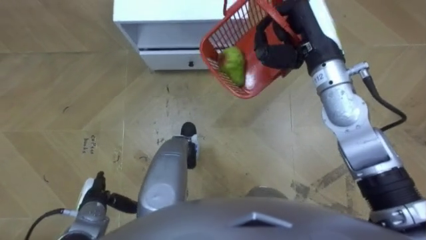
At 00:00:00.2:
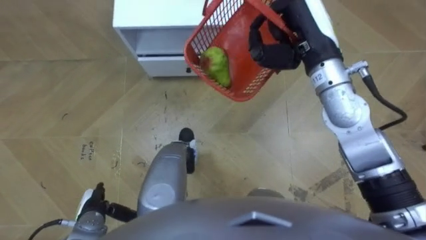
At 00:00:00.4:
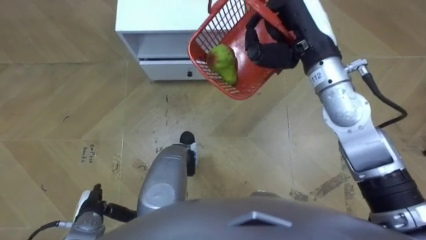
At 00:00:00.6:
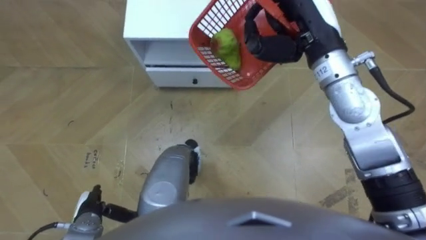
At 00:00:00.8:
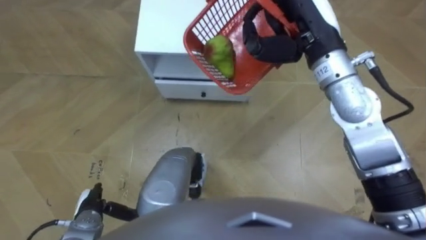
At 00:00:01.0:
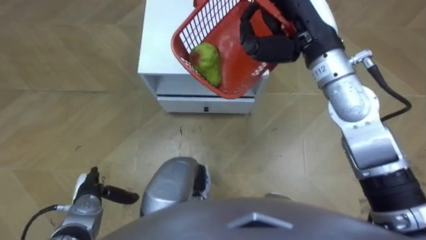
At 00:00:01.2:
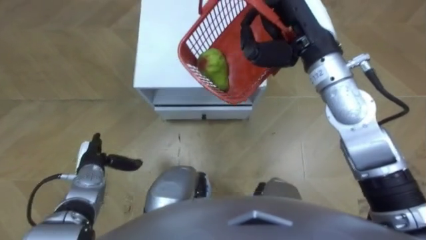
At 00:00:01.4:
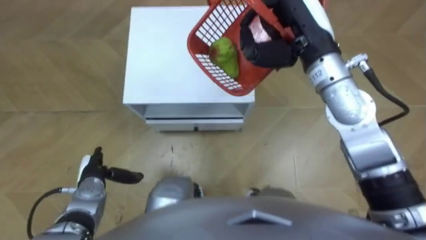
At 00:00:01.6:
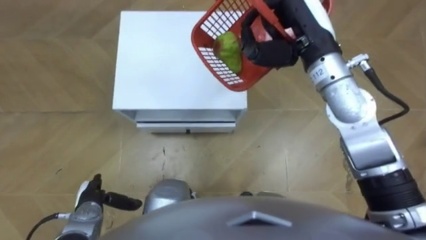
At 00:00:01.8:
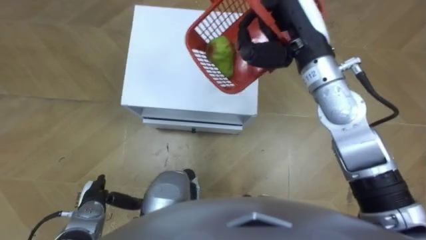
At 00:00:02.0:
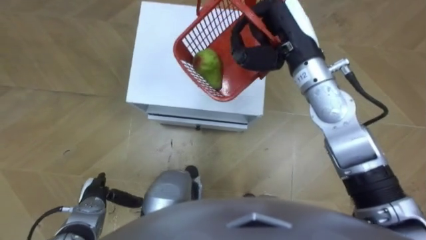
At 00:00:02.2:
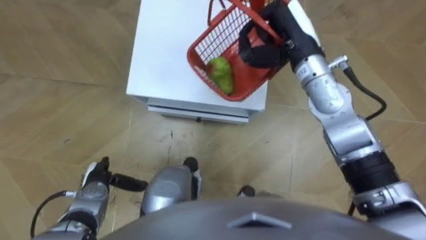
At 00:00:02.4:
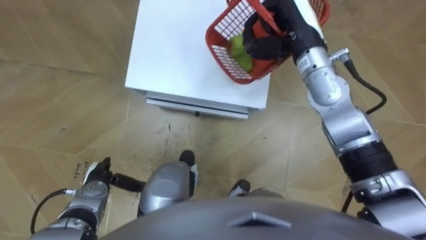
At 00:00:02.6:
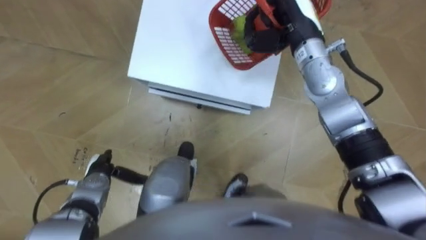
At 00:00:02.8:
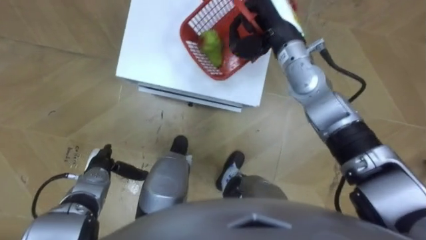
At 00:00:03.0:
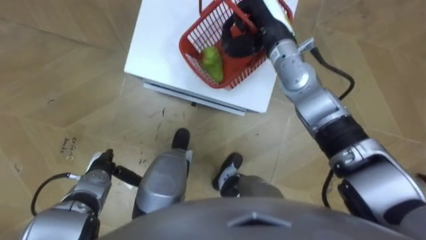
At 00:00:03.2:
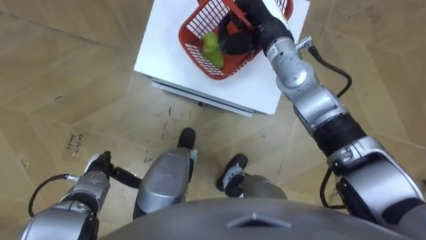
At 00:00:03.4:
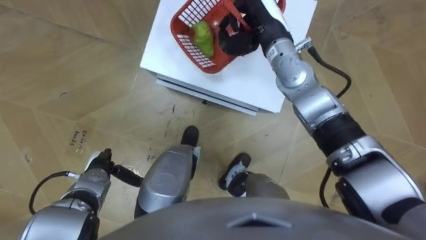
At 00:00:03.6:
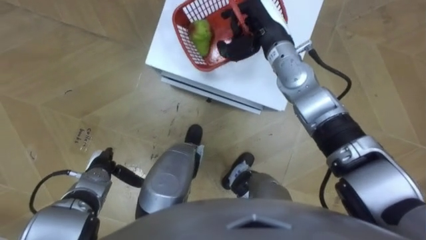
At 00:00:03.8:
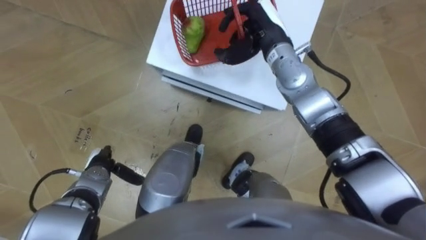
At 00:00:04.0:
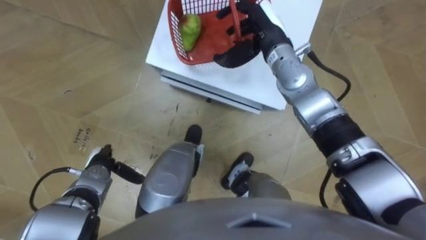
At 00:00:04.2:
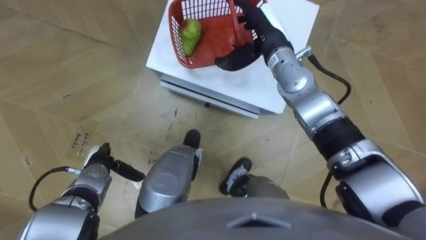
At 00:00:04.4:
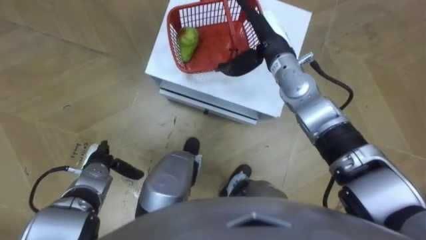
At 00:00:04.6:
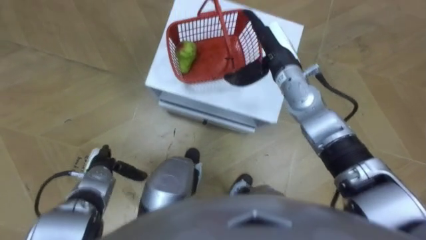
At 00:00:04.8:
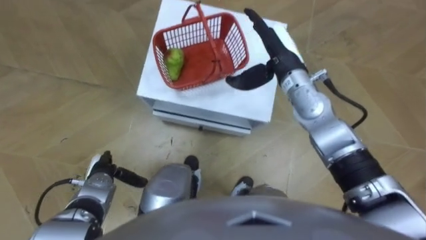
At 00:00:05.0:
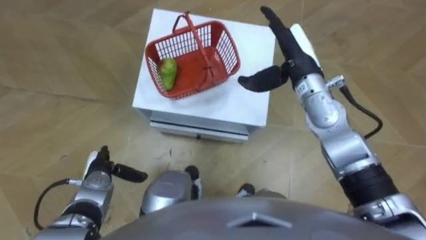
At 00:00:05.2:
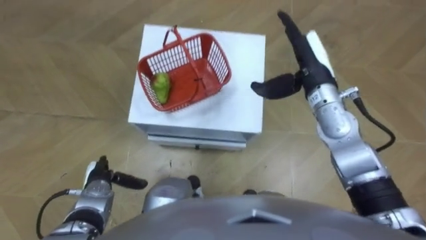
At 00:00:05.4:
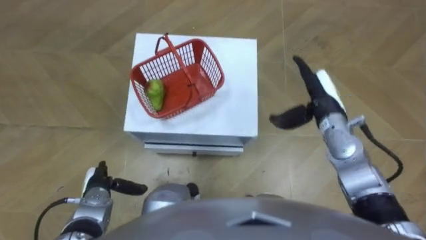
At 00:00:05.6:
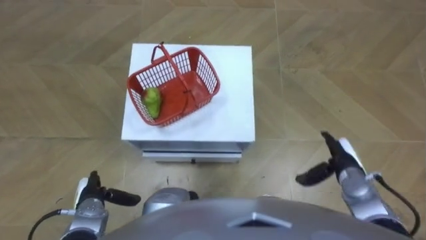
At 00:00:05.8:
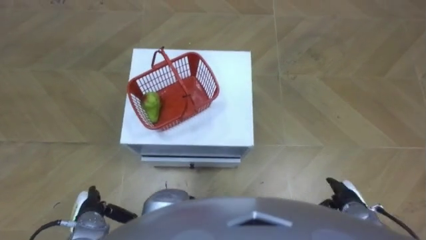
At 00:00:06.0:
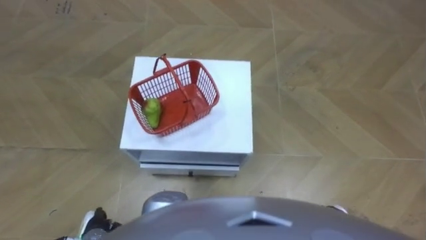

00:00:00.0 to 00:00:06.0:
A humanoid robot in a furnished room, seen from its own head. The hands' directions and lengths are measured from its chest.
Task of the whole recording: Pick up the fruit basket from the floor and place it on the cabinet.
00:00:00.0 to 00:00:01.6: The left hand moves approximately 10 cm forward and comes back.
00:00:01.6 to 00:00:03.0: The right hand goes about 10 cm downward and forward; the left hand heads forward, covering approximately 5 cm.
00:00:03.0 to 00:00:04.4: The right hand opens its fingers.
00:00:04.4 to 00:00:06.0: The left hand travels backward by roughly 15 cm. The right hand shifts approximately 40 cm backward, downward and to the right.

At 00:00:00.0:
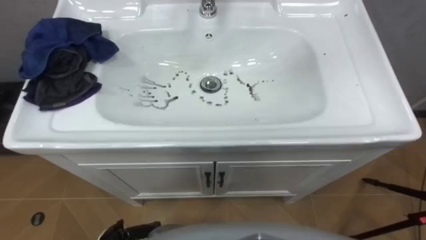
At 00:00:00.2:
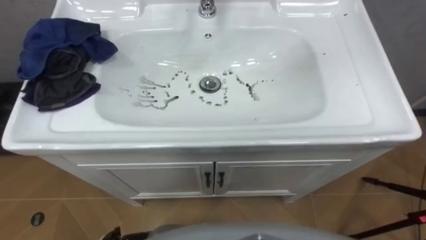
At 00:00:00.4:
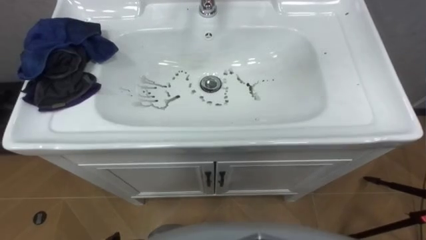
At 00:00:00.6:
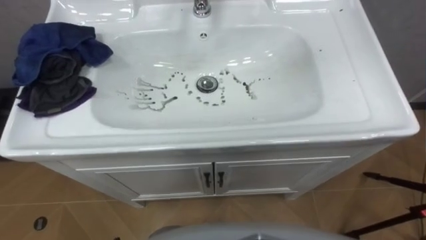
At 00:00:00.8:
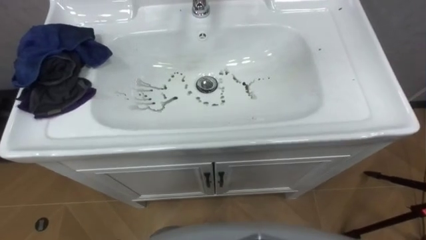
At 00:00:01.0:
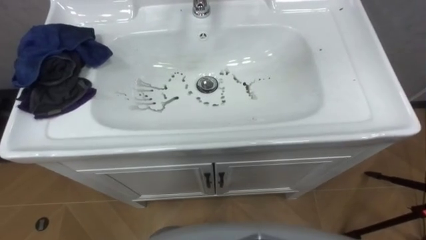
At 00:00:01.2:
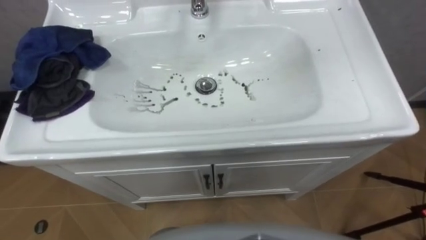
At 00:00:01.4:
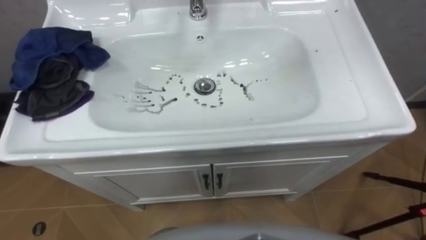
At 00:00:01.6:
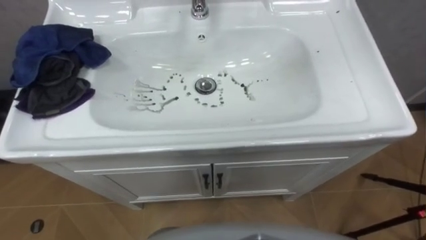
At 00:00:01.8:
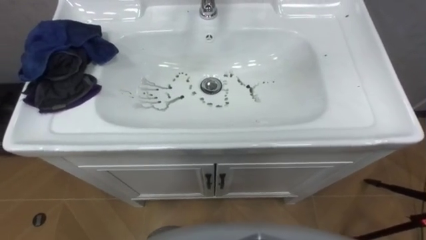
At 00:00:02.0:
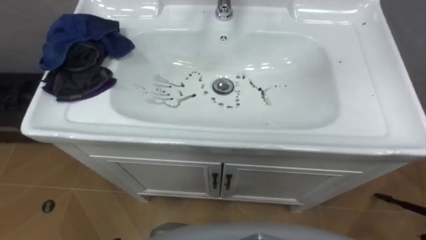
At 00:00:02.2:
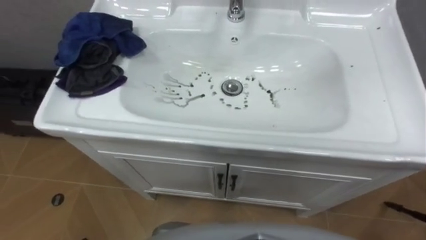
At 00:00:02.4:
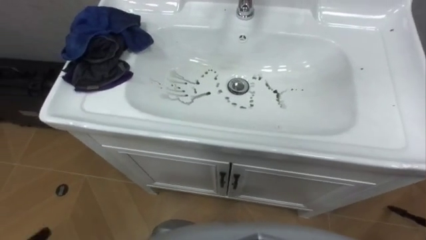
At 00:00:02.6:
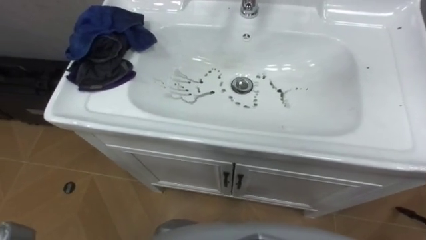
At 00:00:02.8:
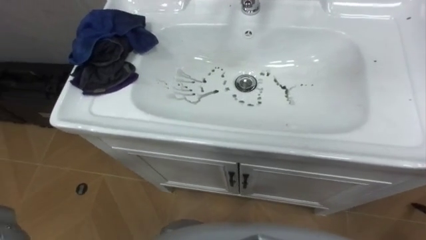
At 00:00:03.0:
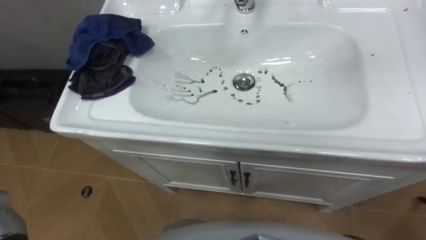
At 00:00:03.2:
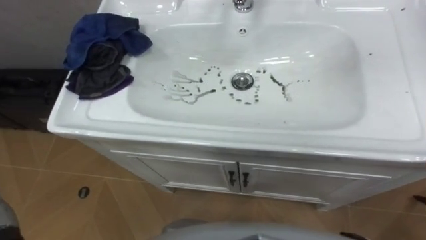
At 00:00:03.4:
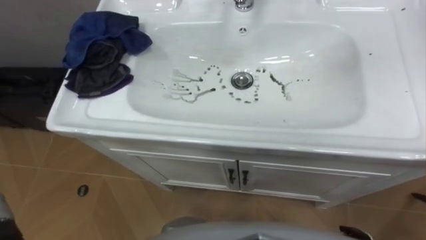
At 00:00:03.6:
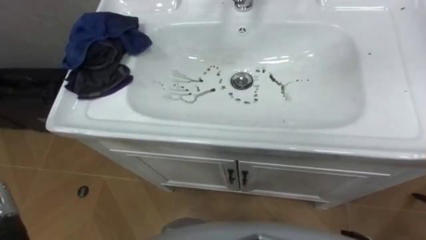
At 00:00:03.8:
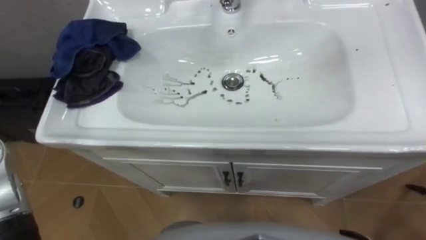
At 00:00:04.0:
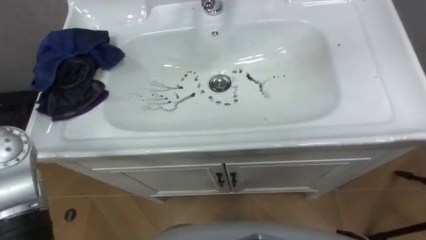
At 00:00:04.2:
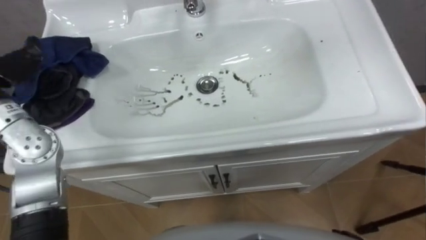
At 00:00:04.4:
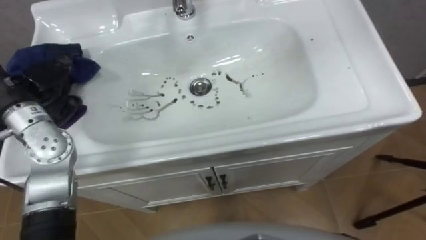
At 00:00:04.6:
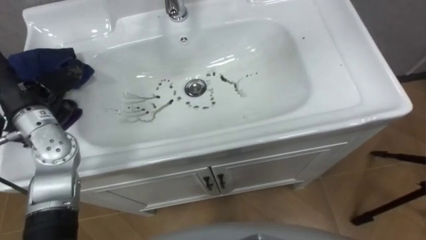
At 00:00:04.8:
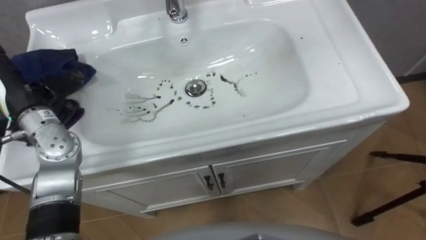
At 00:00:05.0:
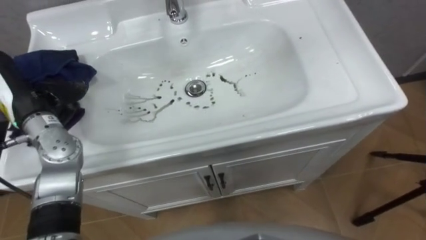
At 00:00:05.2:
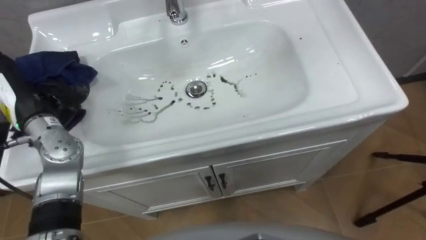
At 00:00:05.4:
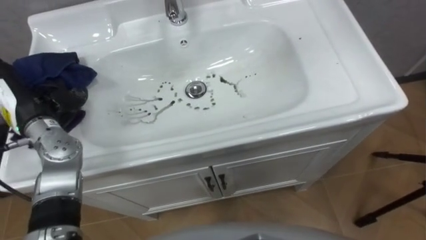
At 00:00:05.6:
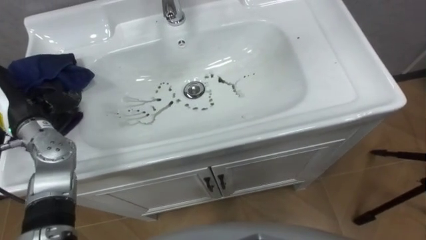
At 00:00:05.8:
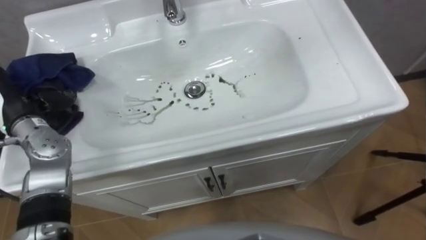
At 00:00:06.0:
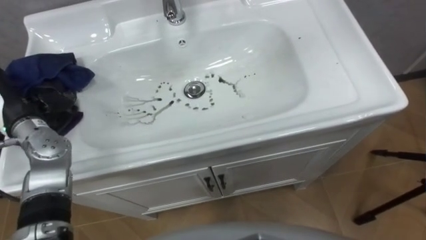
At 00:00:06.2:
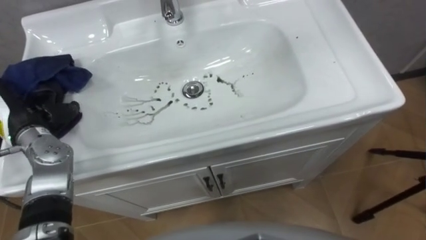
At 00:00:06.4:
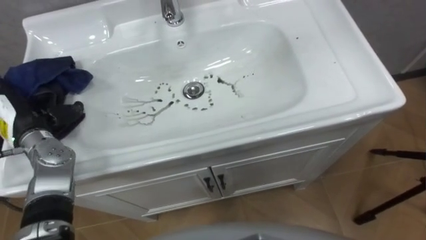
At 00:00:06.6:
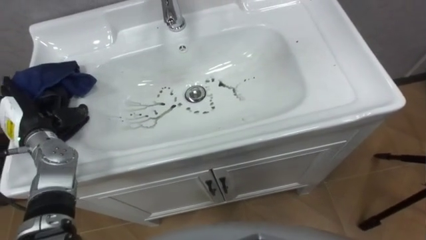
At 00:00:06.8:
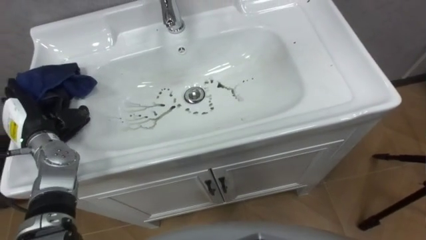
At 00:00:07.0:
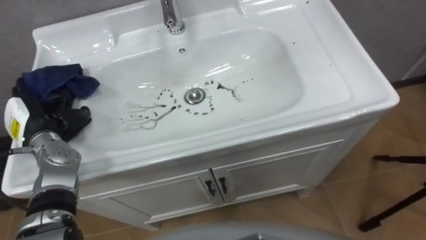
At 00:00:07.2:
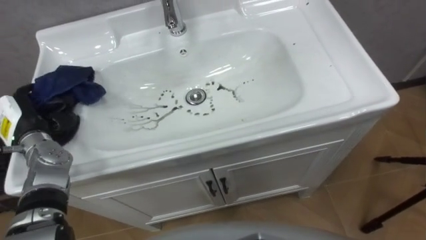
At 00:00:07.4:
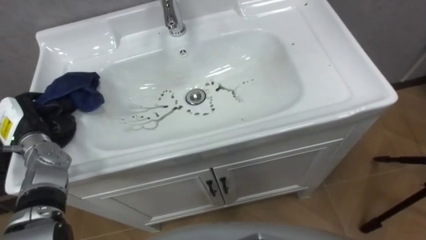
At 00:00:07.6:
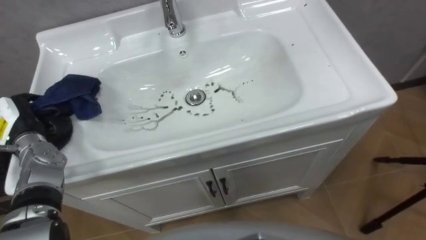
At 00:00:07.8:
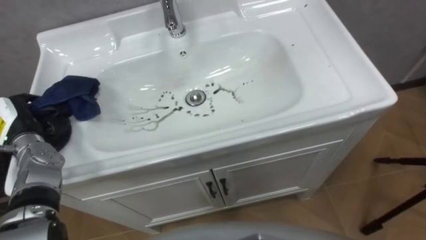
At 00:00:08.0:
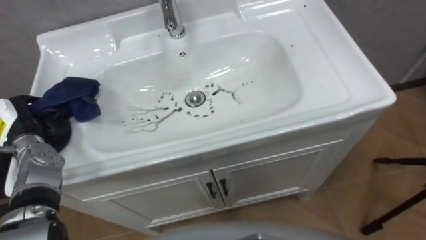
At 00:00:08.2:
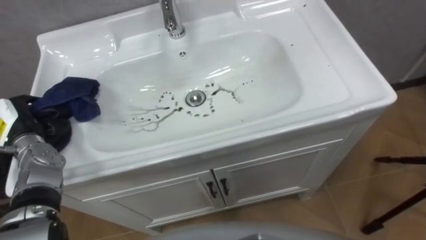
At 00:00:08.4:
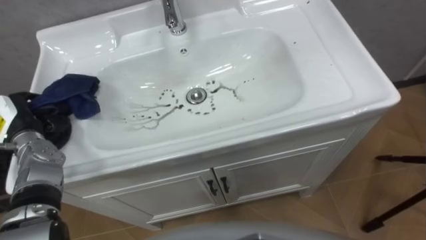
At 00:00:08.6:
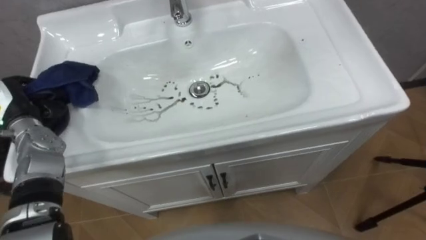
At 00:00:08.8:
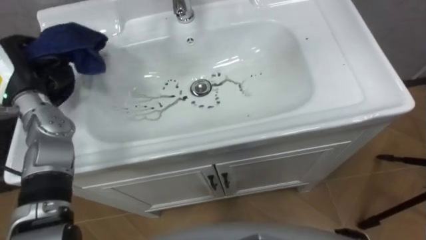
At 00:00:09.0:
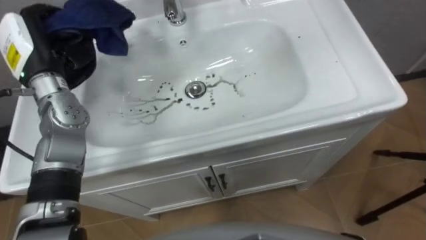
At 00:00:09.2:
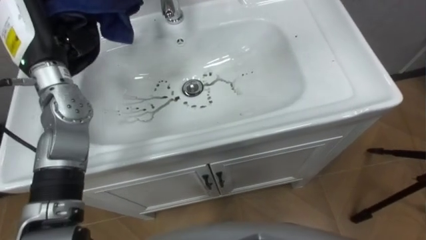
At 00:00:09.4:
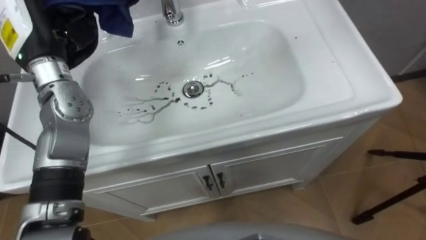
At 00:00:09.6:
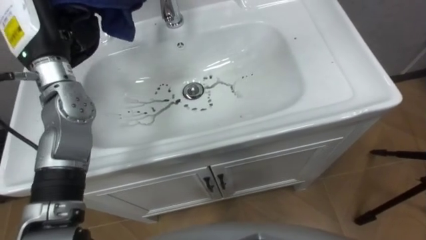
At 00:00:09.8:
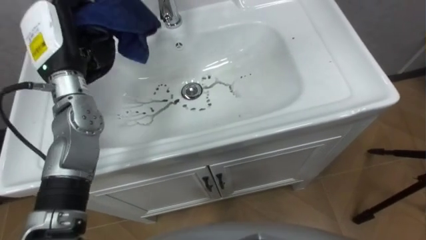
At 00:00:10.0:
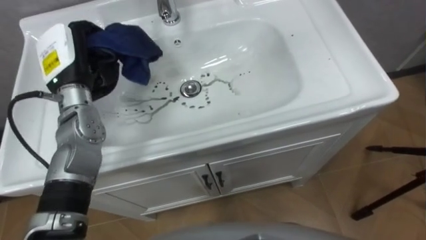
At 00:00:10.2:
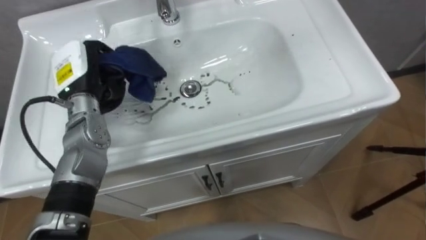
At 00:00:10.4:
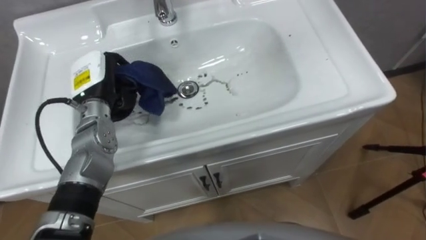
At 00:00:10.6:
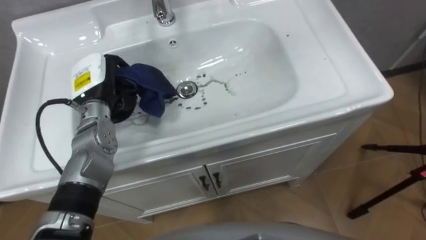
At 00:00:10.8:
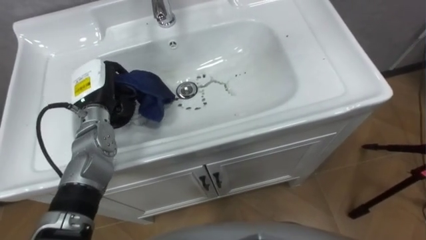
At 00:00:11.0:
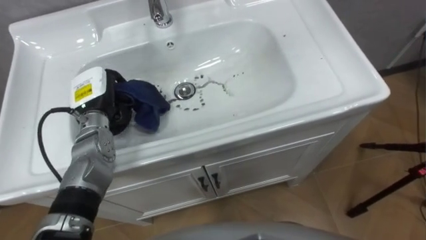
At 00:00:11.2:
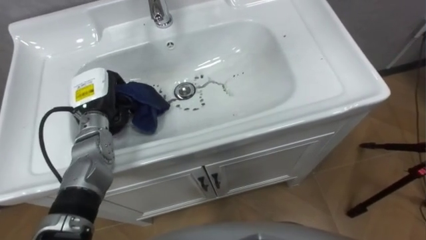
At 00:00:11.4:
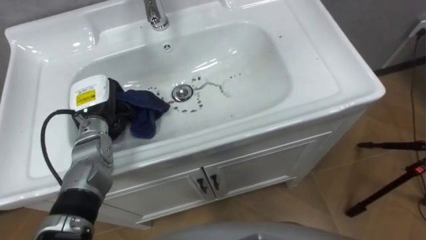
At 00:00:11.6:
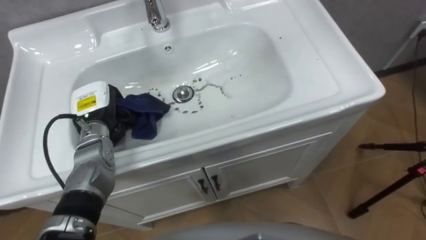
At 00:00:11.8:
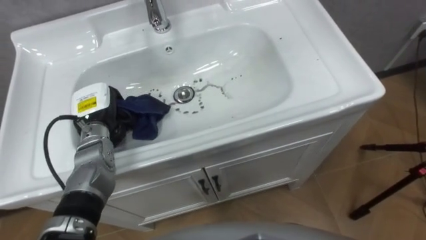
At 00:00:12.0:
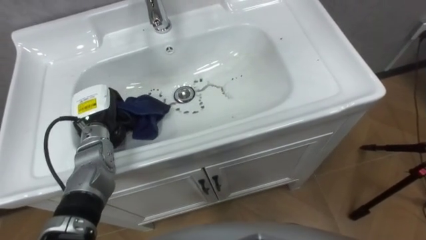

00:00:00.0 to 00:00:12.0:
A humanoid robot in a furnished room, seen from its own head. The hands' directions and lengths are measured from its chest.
Task of the whole recording: Use the cloth on the right to wipe away the black stain in the sink.
00:00:06.0 to 00:00:07.6: The left hand heads downward, covering some 5 cm, and closes up.
00:00:09.0 to 00:00:10.4: The left hand goes about 10 cm downward and to the right.
00:00:10.4 to 00:00:12.0: The left hand shifts some 5 cm downward.
